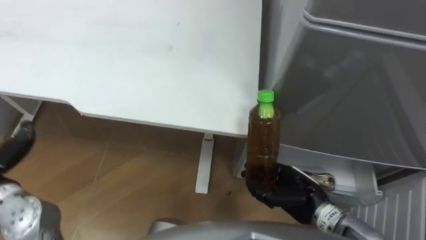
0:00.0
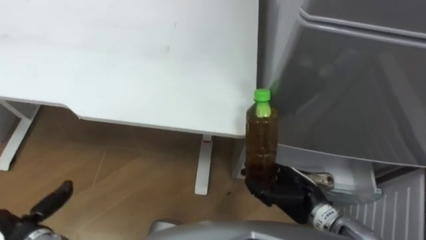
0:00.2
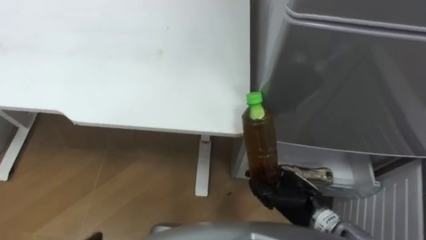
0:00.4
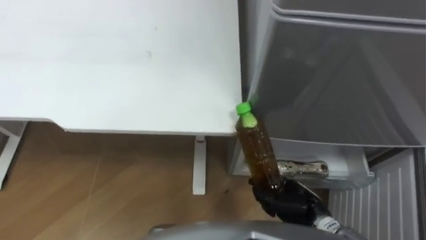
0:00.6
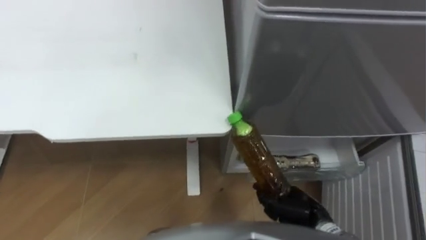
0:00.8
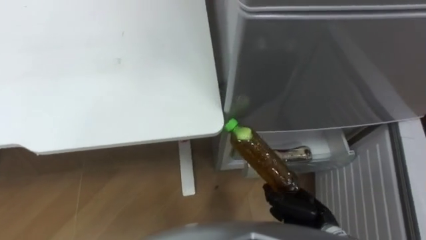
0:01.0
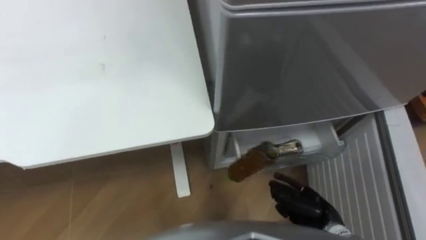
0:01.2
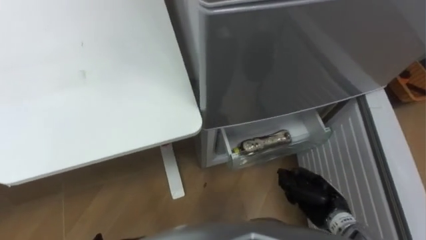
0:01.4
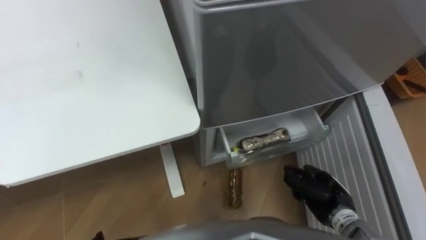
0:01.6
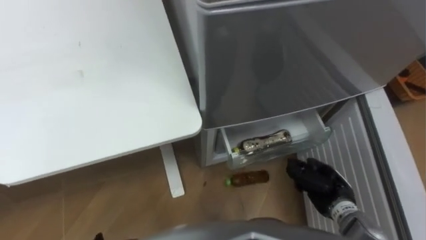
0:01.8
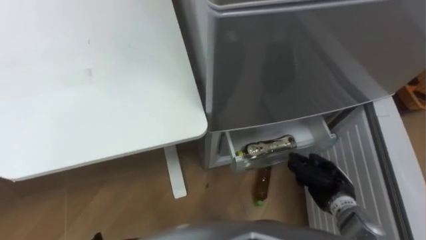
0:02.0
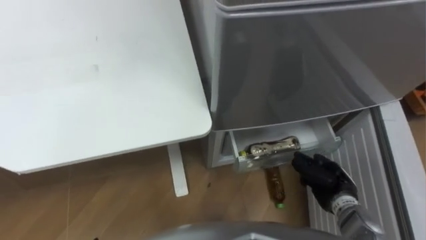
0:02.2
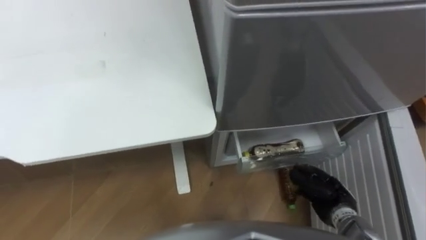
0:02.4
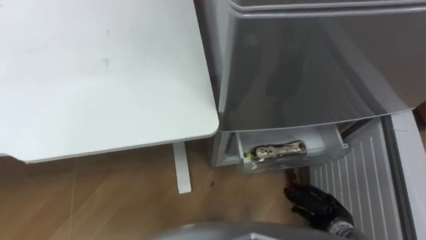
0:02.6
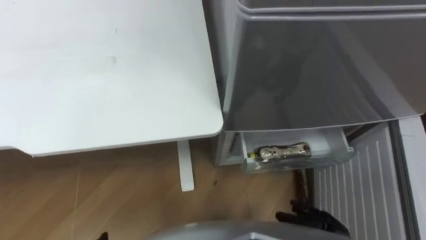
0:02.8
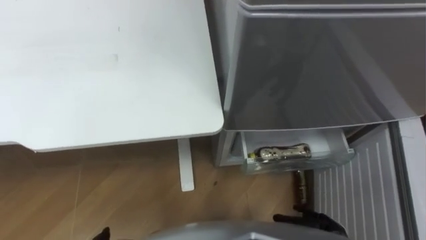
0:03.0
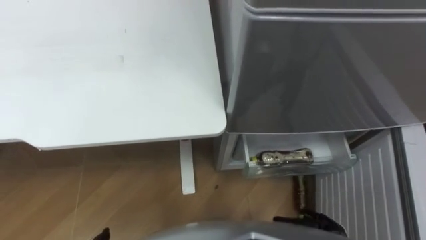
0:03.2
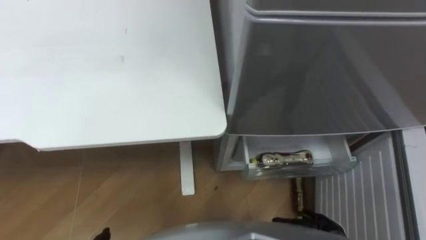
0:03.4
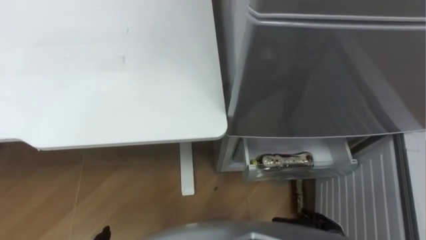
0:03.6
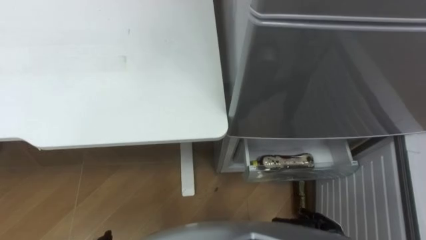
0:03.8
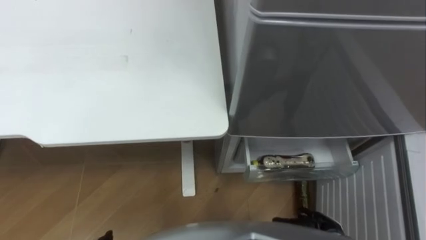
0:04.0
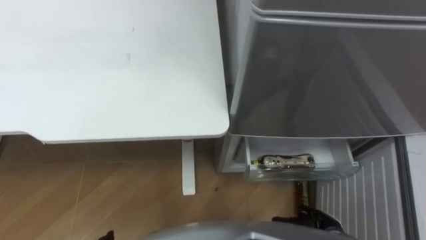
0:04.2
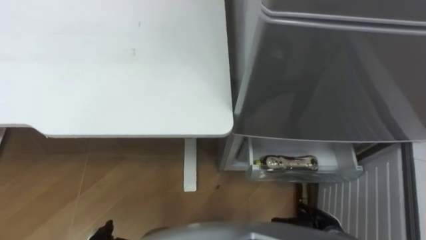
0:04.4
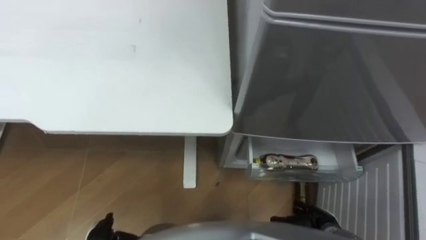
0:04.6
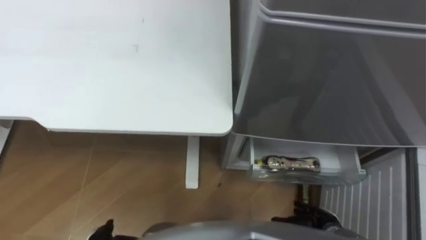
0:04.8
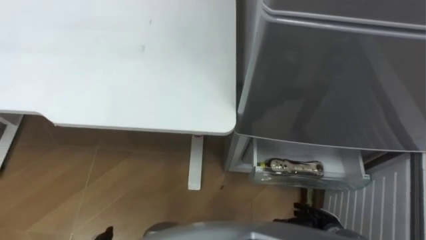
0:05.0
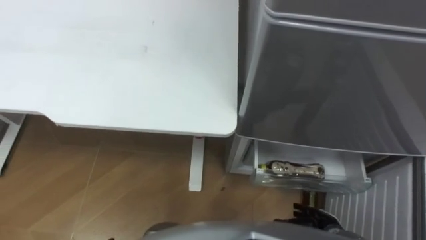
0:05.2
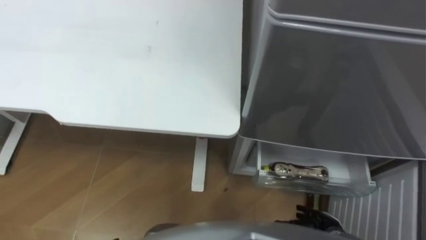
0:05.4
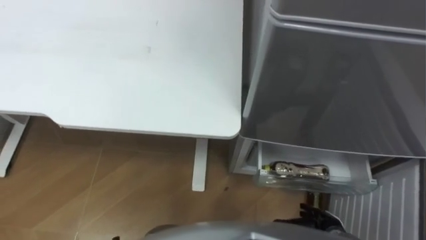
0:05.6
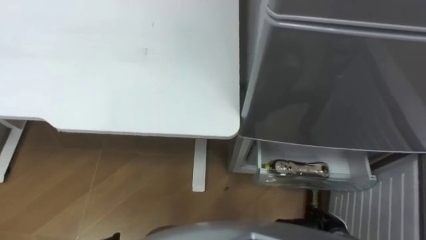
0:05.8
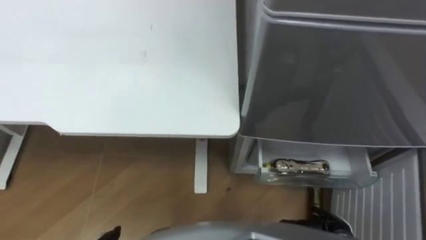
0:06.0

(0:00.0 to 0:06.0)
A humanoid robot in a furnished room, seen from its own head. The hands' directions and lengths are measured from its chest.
Task of the whole recording: Place the drink on the table on the bottom shelf of the refrigerator, then close the drawer and the refrigerator door.
0:00.0 - 0:01.6: The right hand moves to the right, about 5 cm.
0:01.6 - 0:03.0: The right hand travels backward and downward by about 10 cm, and opens.
